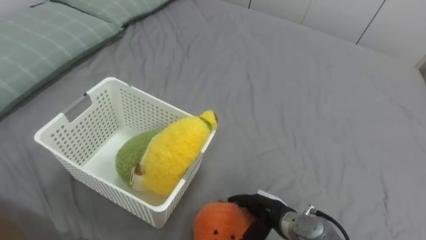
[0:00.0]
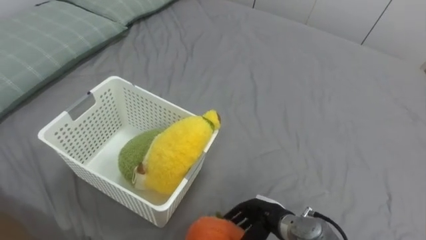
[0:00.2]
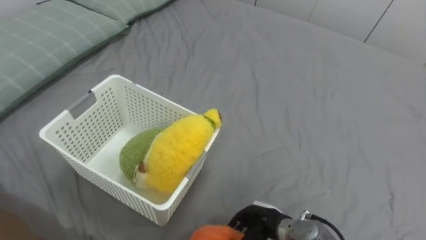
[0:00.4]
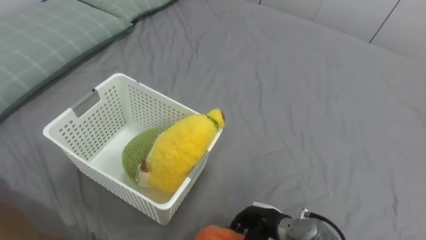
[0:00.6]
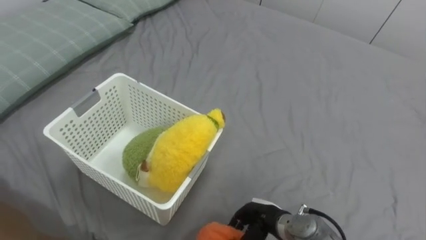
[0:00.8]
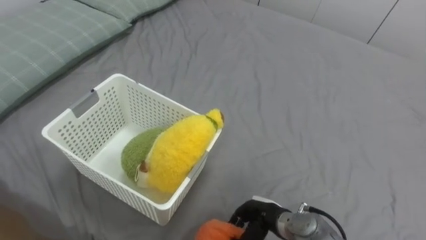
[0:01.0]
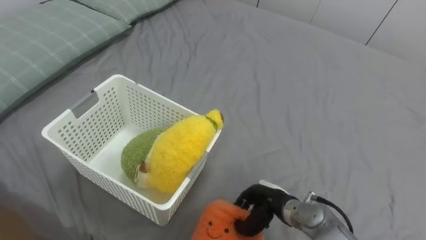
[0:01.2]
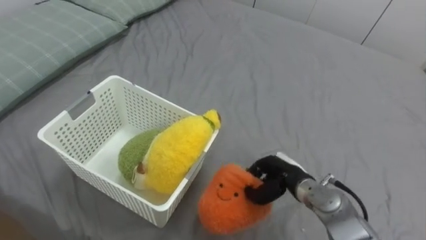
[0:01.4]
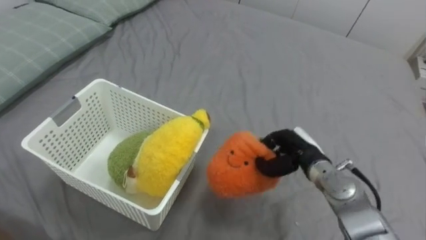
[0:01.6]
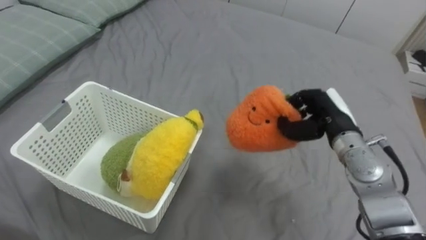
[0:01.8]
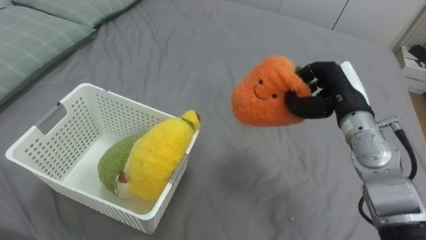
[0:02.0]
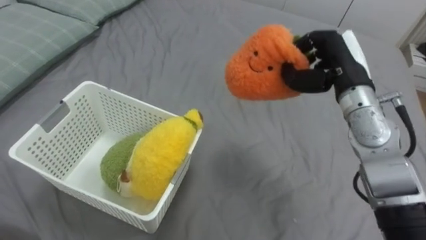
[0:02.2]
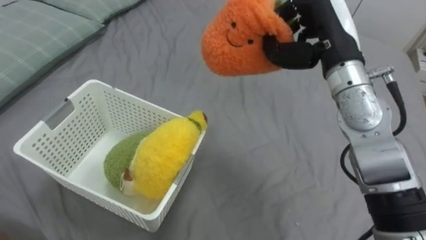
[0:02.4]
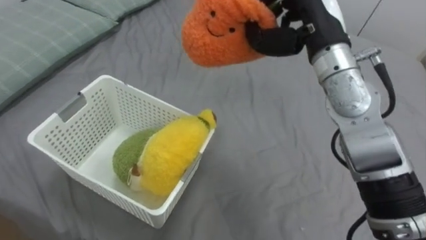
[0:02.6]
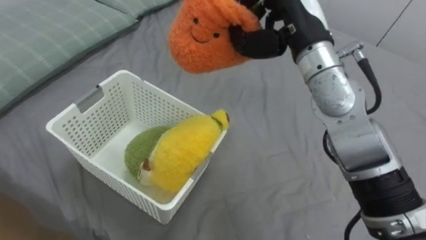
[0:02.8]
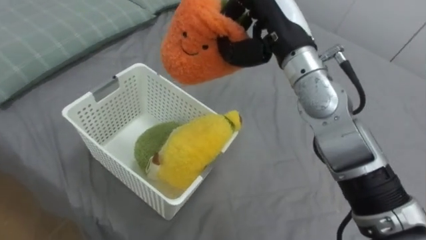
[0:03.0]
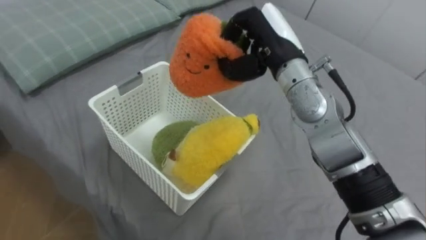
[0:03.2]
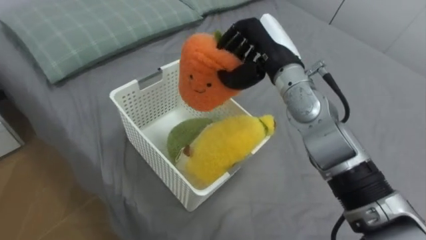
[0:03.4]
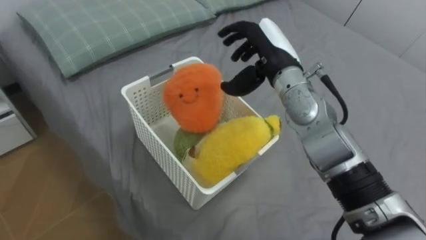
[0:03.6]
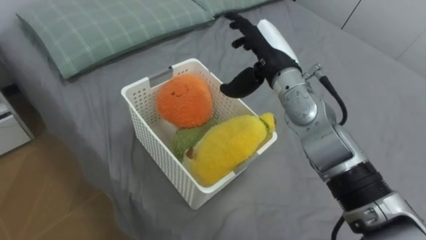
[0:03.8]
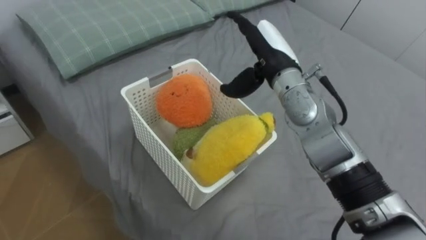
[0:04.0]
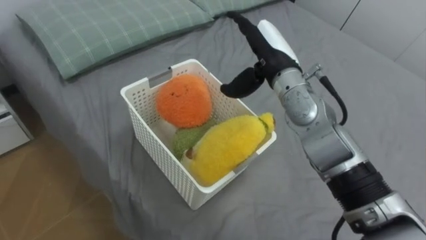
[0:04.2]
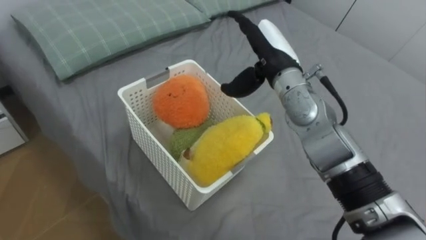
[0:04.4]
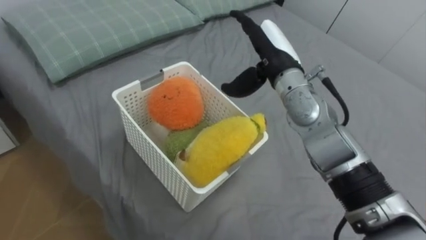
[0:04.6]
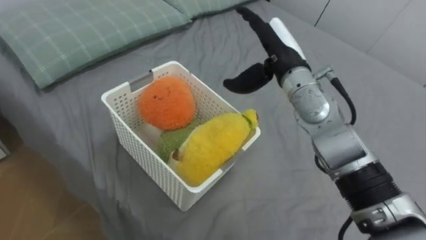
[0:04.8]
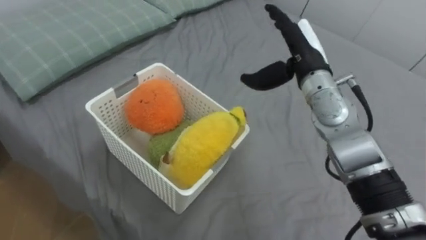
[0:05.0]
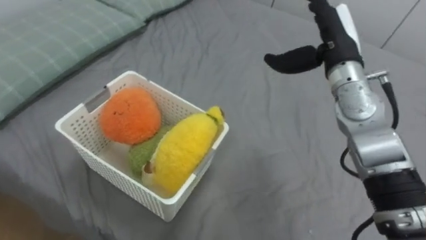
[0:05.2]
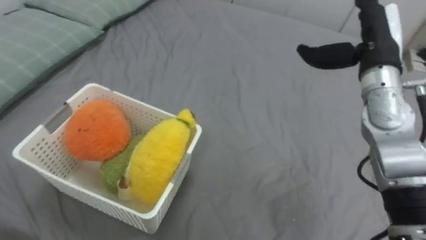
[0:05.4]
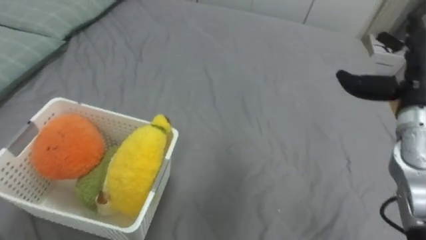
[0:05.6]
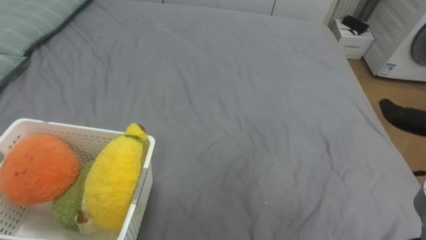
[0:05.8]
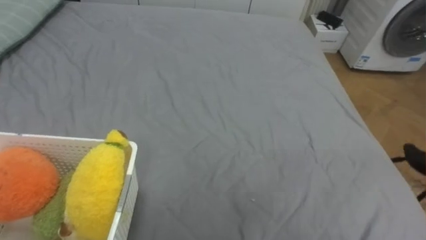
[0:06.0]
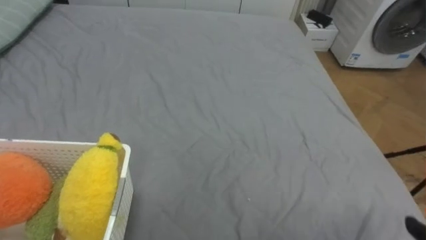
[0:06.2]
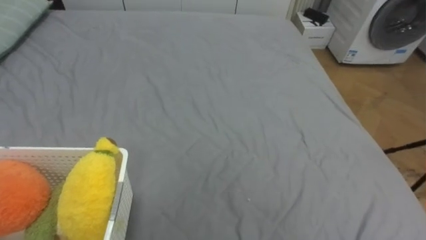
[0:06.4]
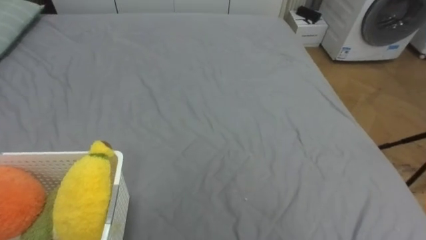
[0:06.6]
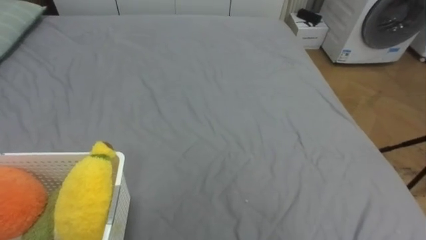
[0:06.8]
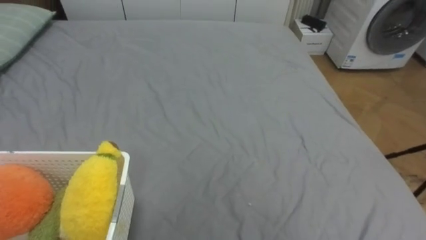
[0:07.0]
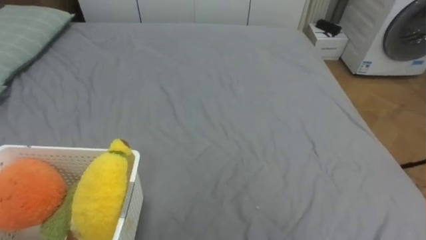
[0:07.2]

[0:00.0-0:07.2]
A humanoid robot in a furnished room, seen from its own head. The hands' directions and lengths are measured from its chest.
Task of the whole recording: Put the toys on the bed into the basket on the left.
0:00.0 to 0:01.4: The right hand is displaced forward by roughly 5 cm, and closes.
0:01.4 to 0:02.8: The right hand shifts some 30 cm upward.
0:02.8 to 0:04.4: The right hand heads downward, covering approximately 10 cm, and opens its fingers.

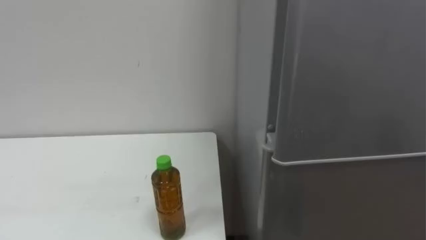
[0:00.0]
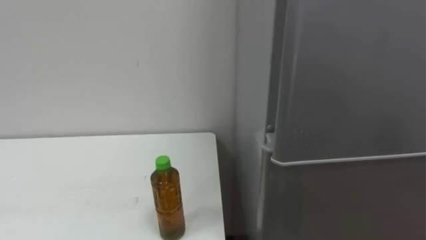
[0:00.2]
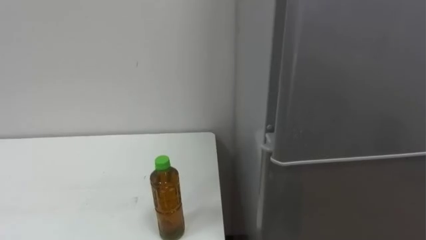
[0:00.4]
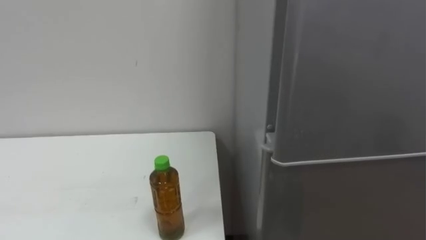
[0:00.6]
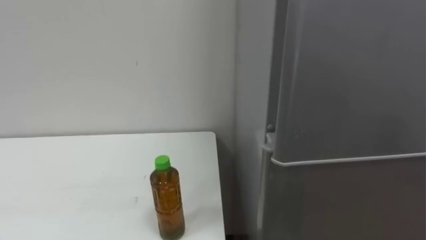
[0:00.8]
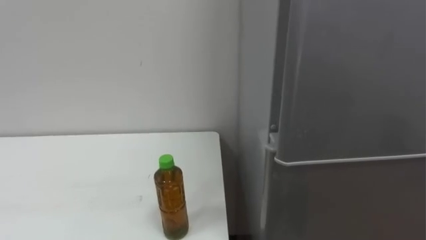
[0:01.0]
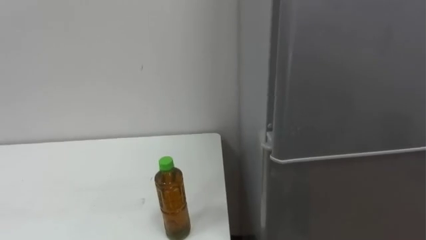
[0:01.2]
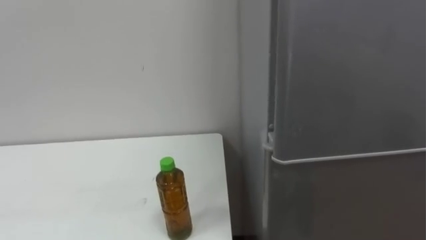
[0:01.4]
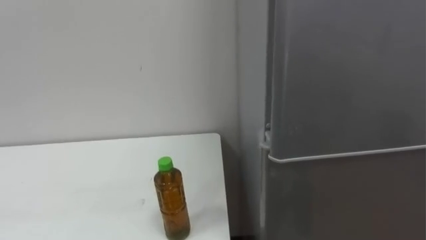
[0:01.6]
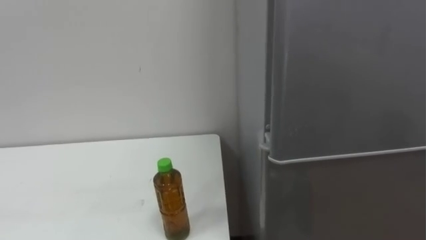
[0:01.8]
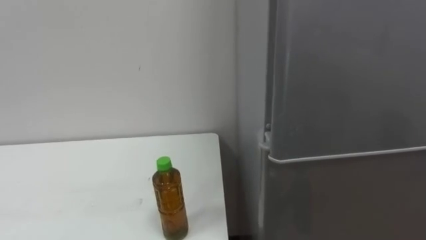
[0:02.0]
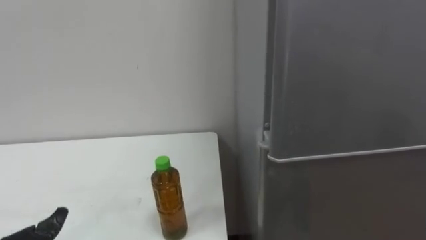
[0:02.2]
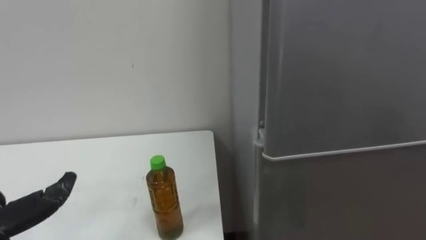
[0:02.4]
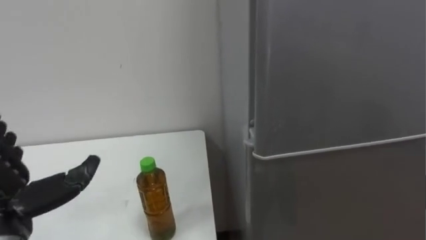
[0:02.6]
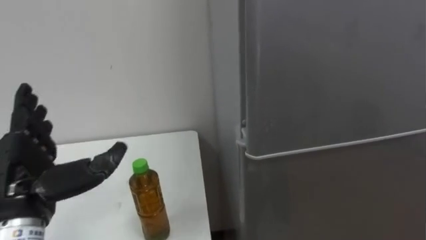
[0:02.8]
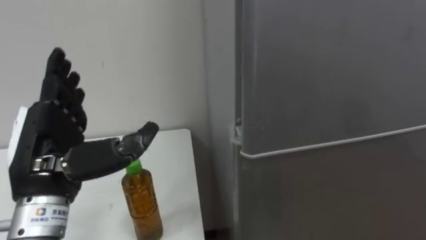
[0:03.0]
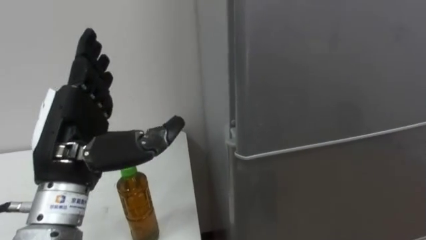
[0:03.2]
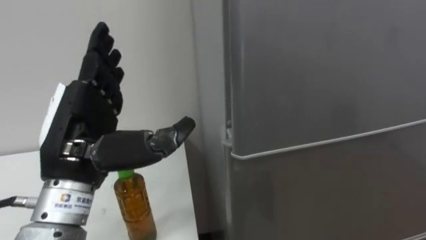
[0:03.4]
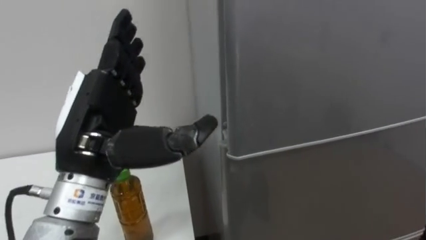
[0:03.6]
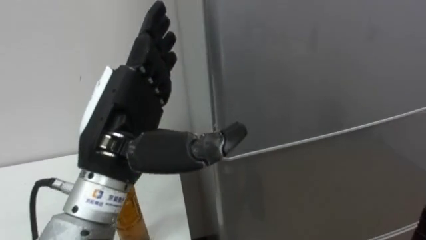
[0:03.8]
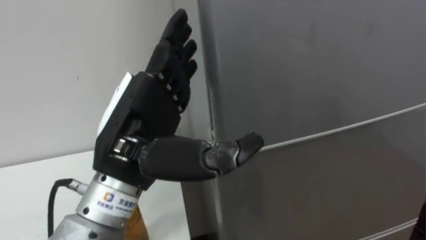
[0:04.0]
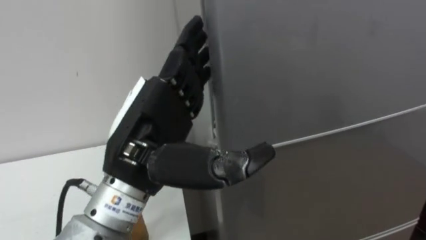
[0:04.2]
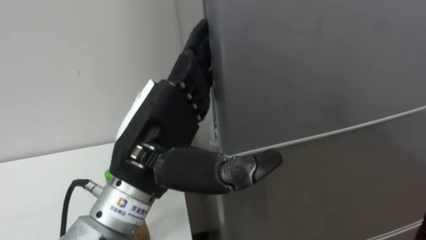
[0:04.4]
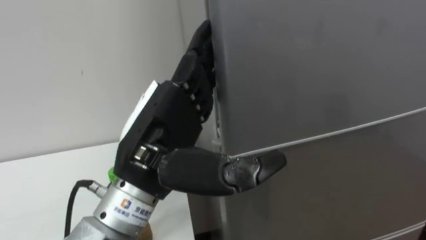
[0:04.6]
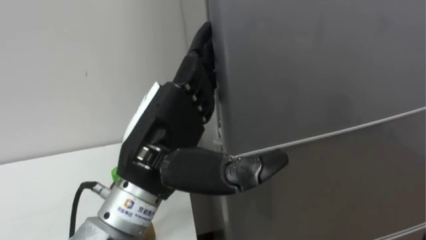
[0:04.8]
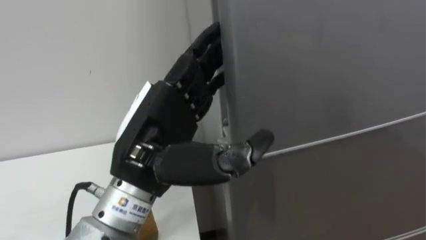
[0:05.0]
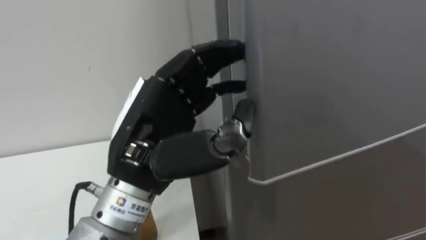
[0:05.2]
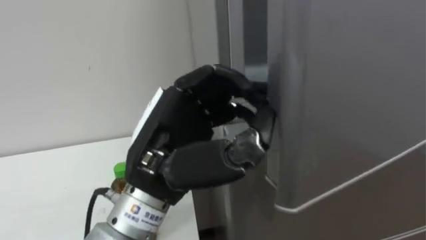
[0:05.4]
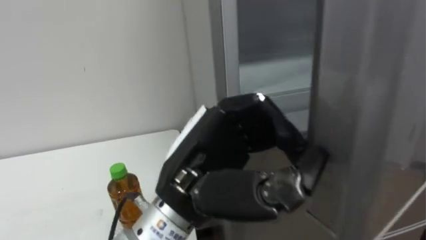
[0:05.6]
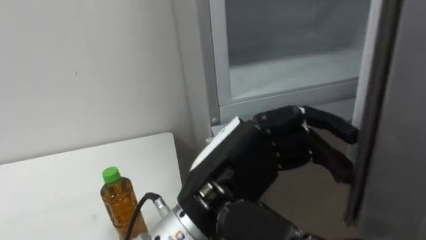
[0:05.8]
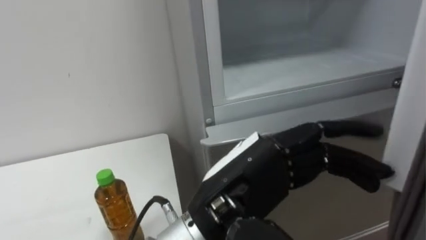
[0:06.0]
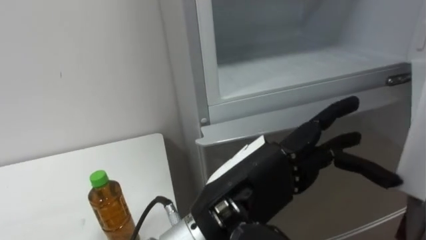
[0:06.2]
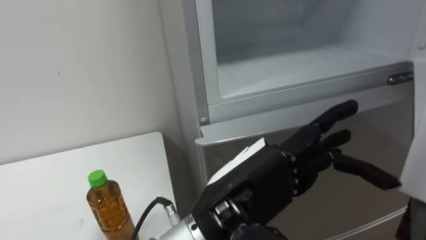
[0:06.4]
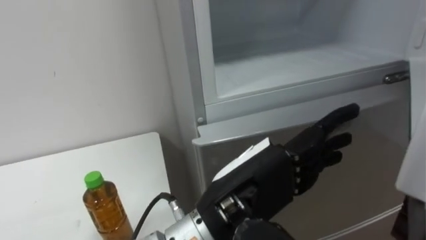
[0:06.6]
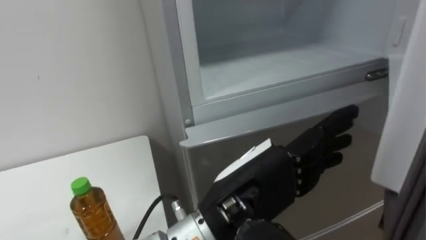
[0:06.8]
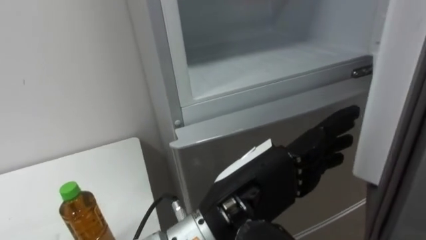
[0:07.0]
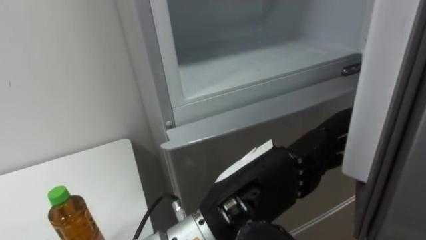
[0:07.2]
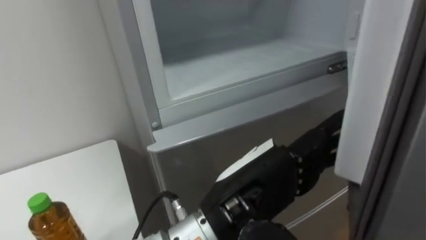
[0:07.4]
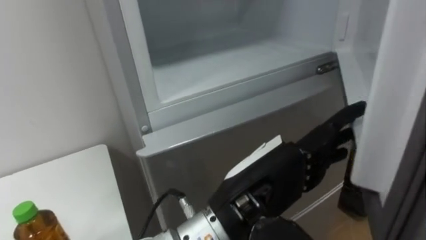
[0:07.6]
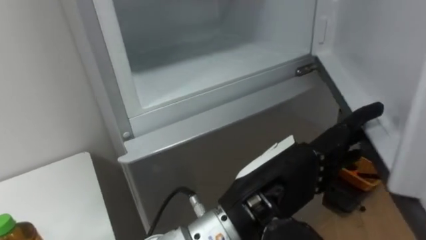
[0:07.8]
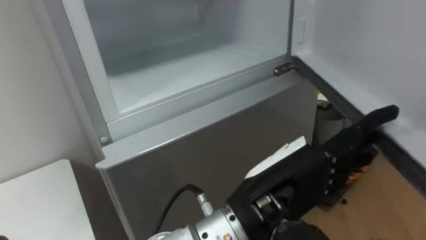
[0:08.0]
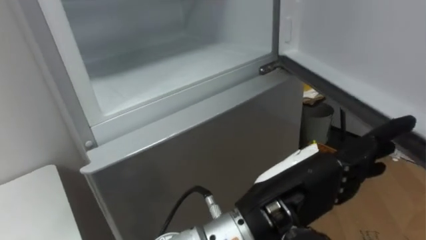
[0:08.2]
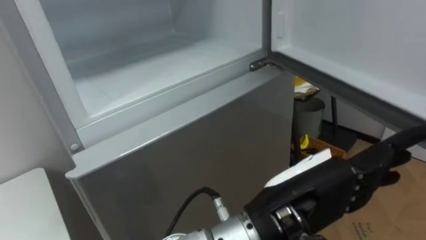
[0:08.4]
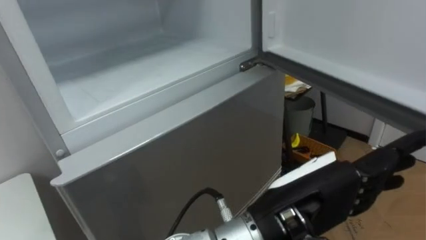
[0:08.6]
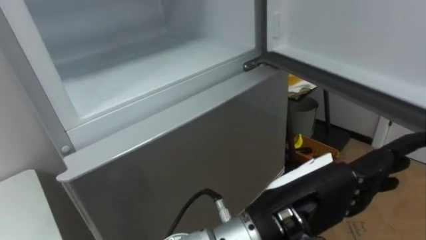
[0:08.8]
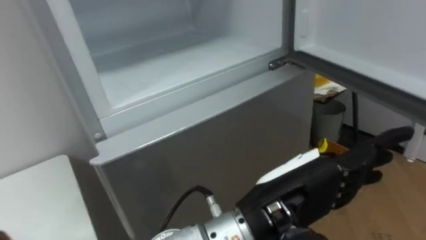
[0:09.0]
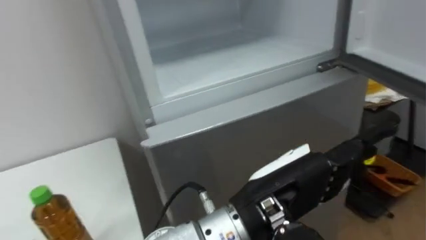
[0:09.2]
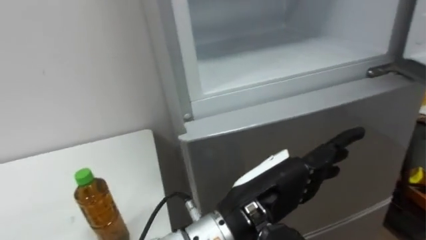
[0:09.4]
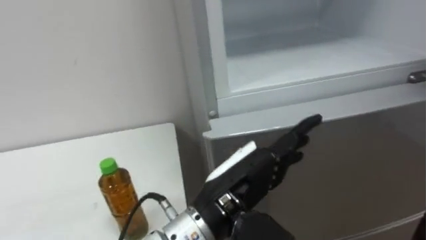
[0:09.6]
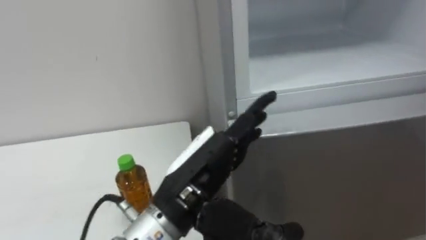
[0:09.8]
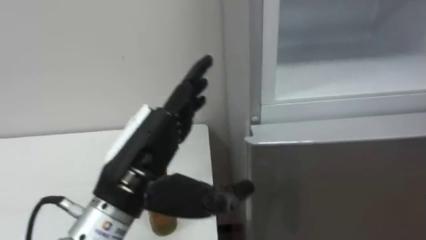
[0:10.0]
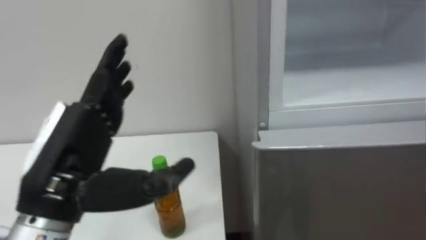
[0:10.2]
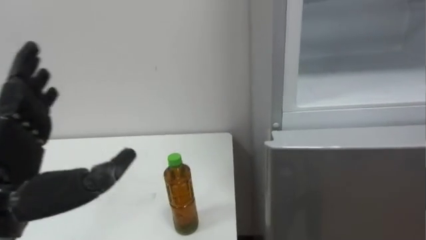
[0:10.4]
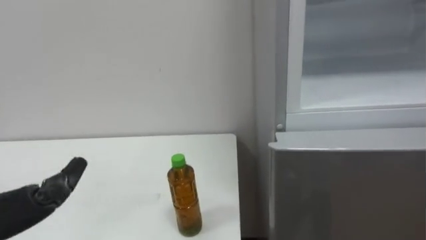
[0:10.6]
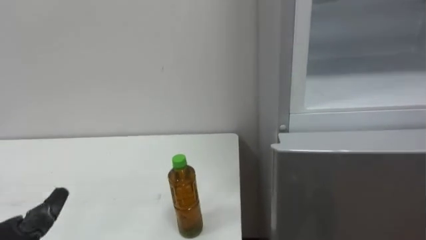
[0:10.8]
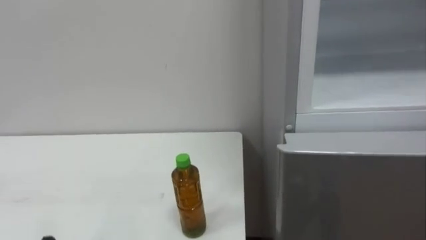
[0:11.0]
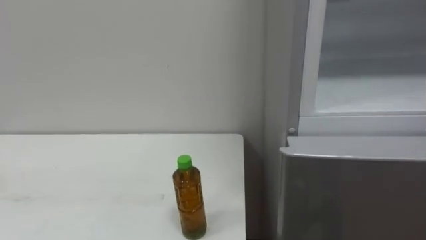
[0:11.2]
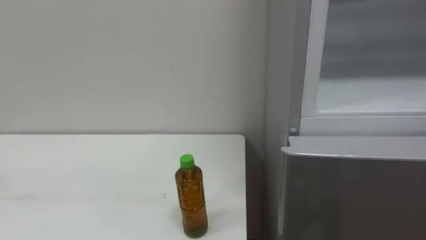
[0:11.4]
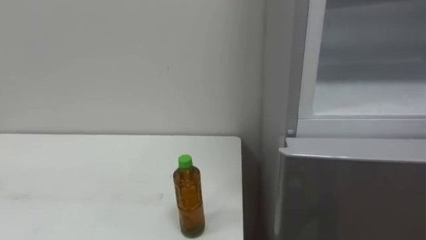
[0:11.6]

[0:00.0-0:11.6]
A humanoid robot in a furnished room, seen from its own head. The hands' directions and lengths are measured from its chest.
Task of the whole recording: Open the upper refrigerator door, put the drink from the table into the refrigerator, and then close the refrigerator door.
0:02.8 to 0:04.4: The left hand moves to the right and upward, roughly 20 cm.
0:04.4 to 0:05.8: The left hand moves to the right, about 5 cm, and closes up.
0:05.8 to 0:07.2: The left hand opens.
0:07.2 to 0:08.8: The left hand moves to the right, approximately 5 cm.
0:08.8 to 0:10.2: The left hand is displaced to the left by roughly 25 cm.
